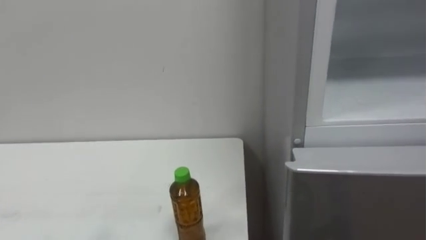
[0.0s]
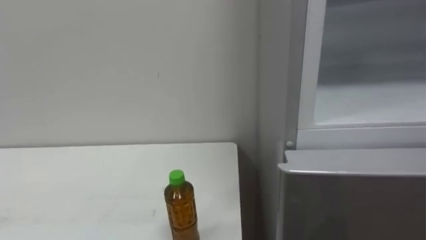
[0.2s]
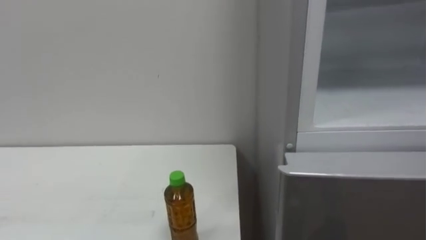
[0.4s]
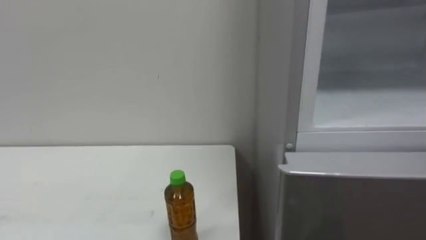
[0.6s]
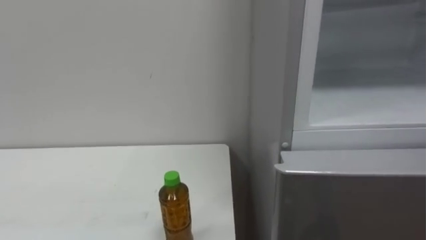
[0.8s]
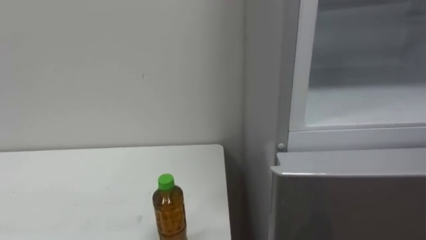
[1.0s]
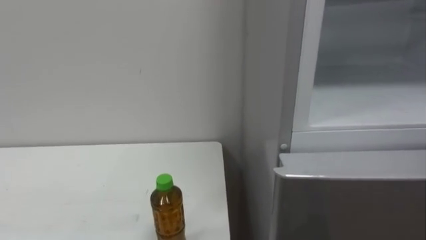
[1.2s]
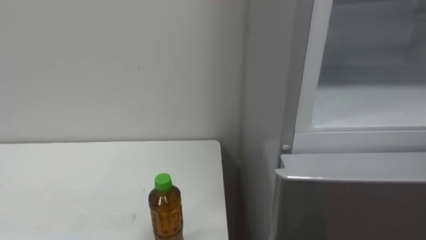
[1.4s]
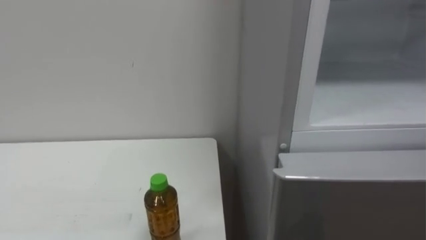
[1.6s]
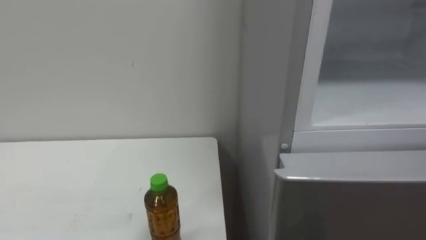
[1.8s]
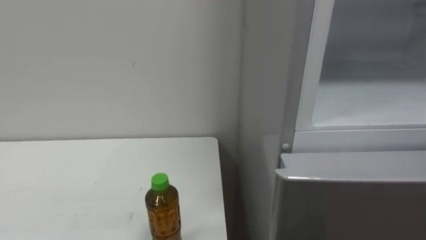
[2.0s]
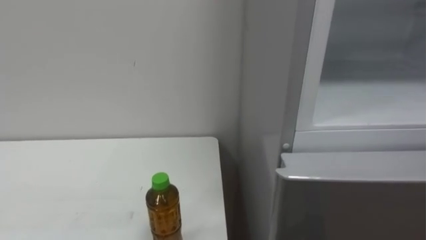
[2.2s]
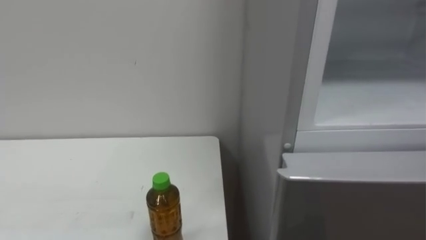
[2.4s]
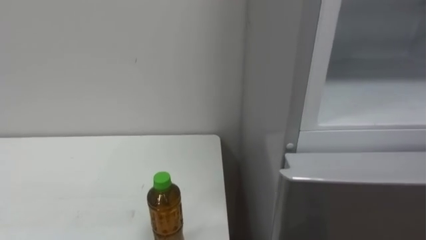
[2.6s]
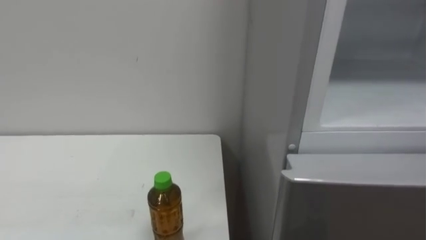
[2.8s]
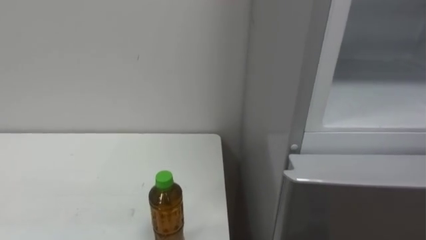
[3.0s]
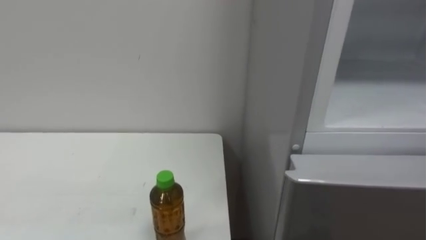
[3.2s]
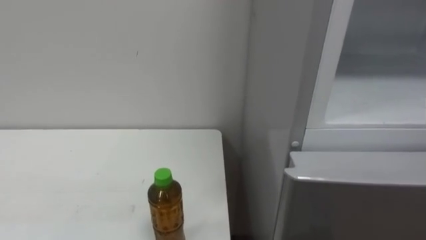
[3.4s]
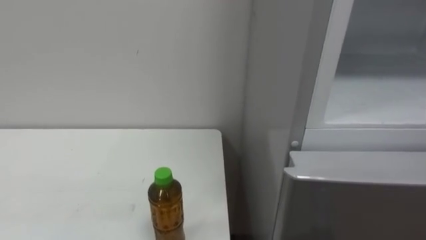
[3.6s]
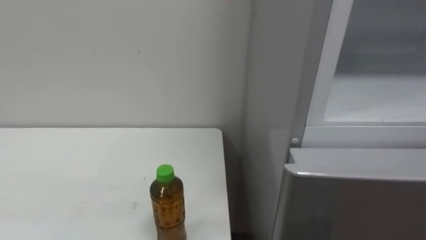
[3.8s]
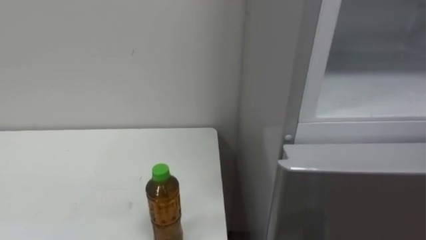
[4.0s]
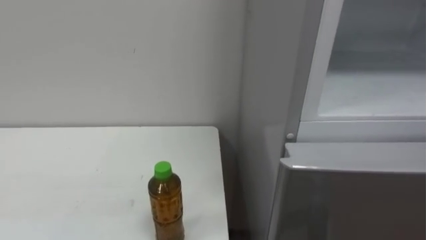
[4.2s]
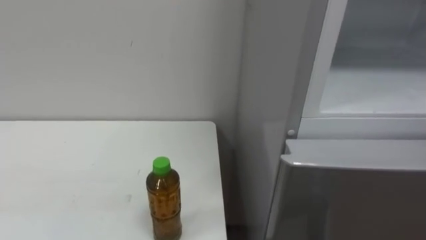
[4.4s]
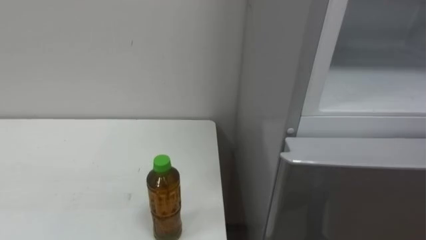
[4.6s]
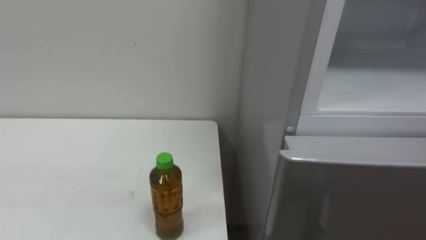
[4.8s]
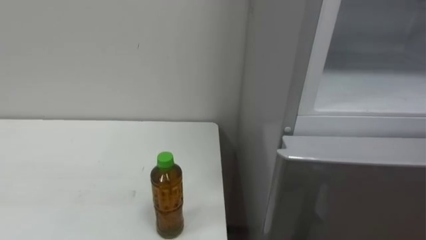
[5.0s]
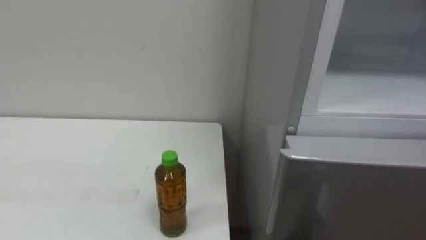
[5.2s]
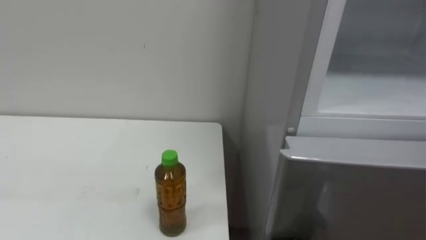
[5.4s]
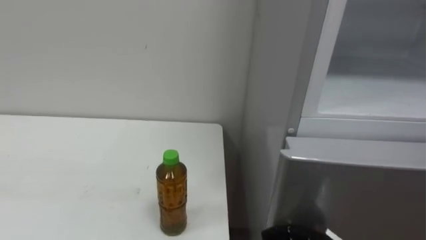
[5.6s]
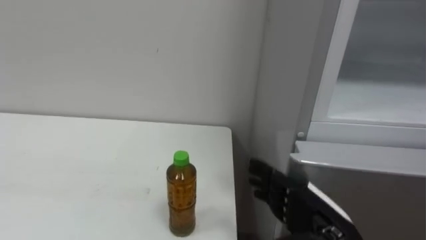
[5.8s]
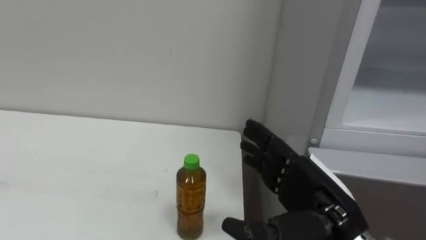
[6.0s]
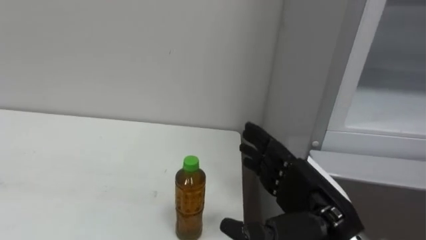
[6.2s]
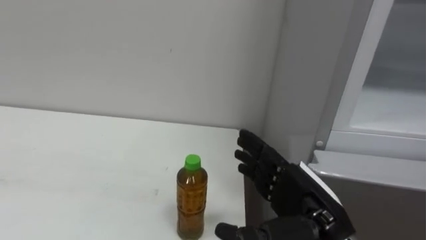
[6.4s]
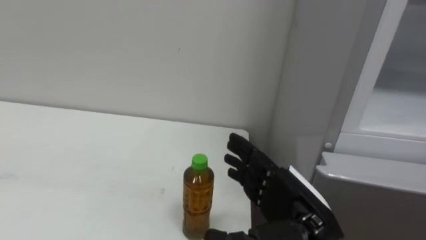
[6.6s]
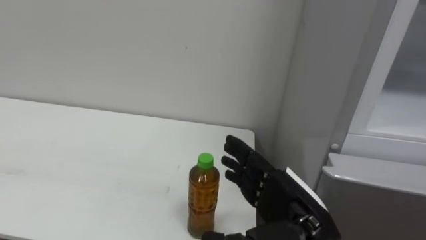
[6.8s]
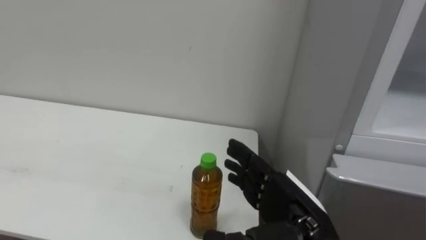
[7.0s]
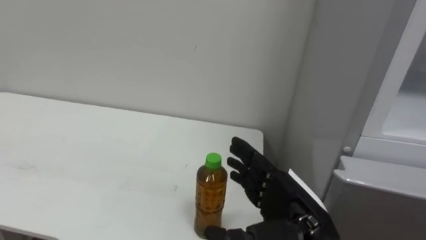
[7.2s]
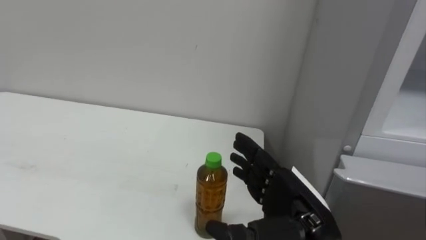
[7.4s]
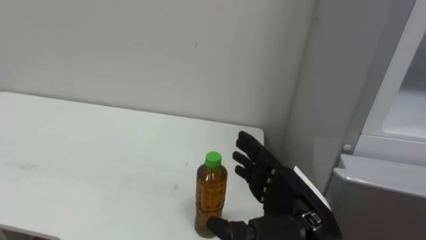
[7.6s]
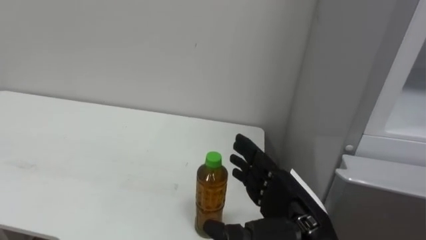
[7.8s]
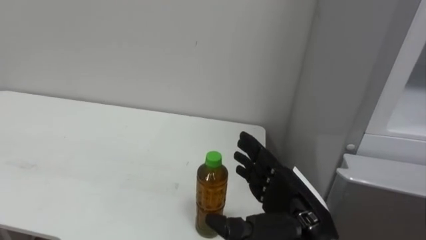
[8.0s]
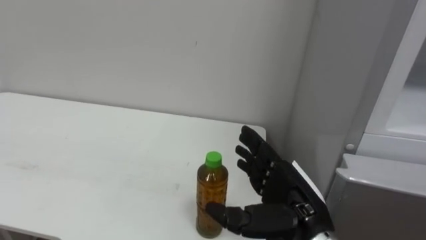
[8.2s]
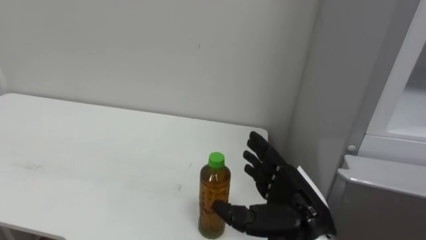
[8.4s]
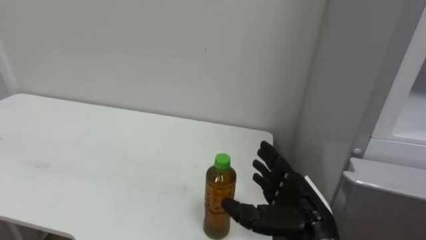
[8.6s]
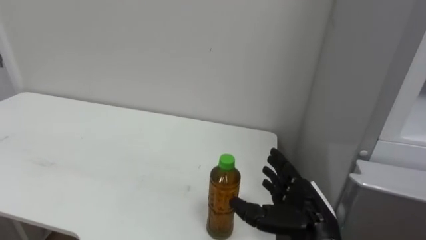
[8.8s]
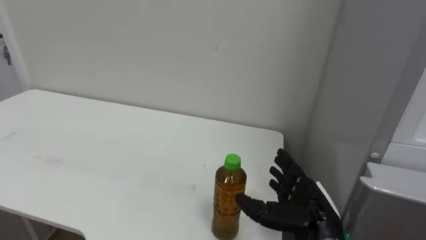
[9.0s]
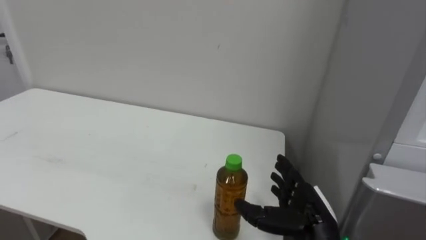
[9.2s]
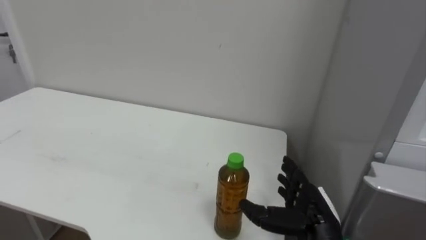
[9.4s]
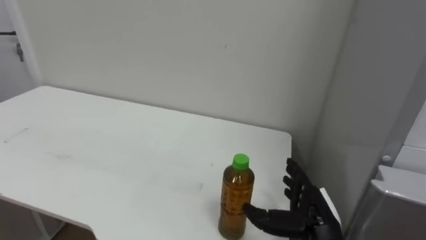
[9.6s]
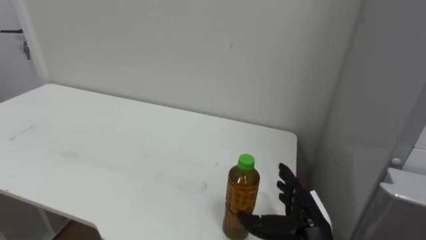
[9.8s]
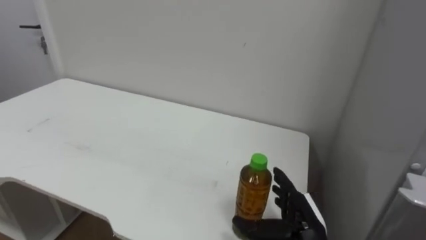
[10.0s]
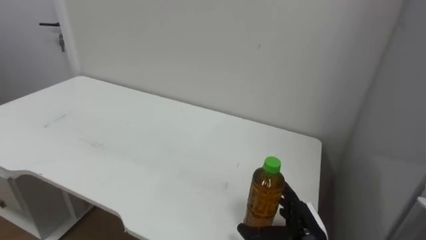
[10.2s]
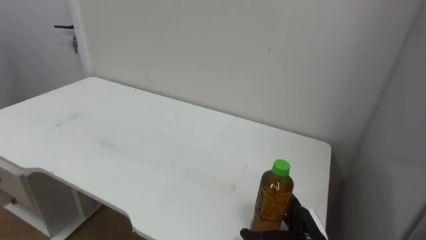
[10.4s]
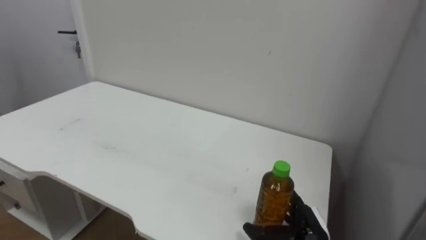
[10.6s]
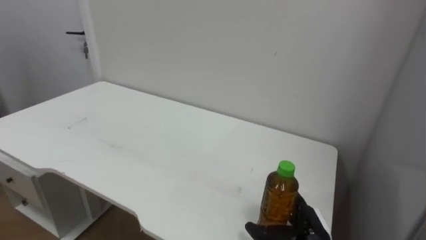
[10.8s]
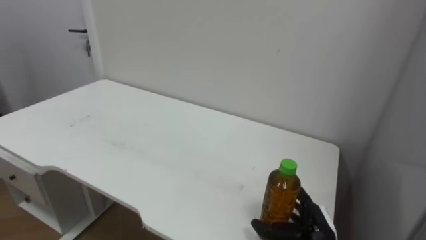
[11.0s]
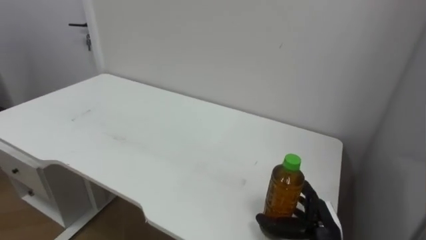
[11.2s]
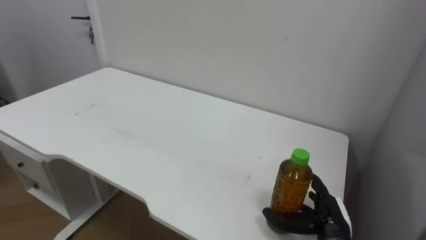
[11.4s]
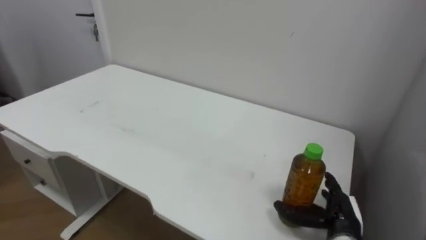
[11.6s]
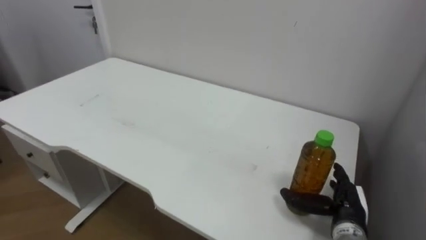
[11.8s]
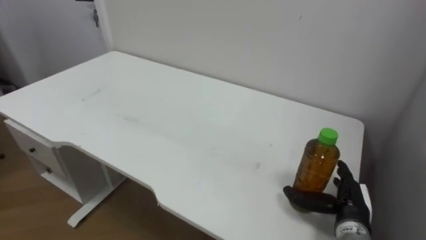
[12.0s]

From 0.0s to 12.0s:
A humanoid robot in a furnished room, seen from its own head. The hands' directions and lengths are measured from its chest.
Task of the whole recording: Open the upper refrigerator door, put the drink from the table into the refrigerator, and then close the refrigerator door.
From 7.6s to 9.0s: The right hand heads downward, covering approximately 5 cm.
From 9.0s to 10.4s: The right hand heads downward, covering roughly 10 cm.
From 10.4s to 12.0s: The right hand moves to the right, about 10 cm.

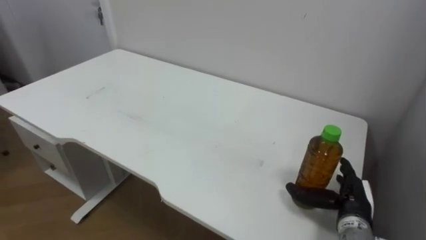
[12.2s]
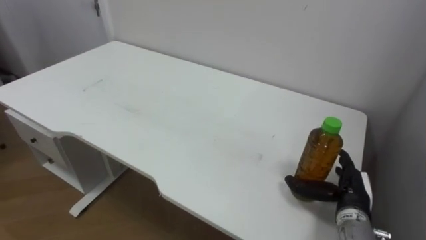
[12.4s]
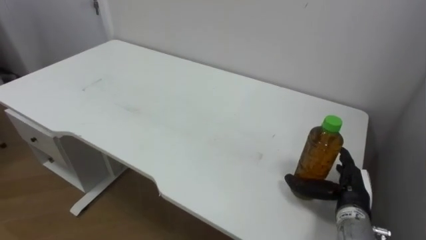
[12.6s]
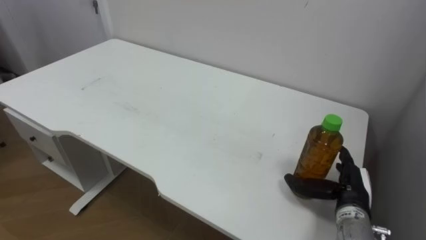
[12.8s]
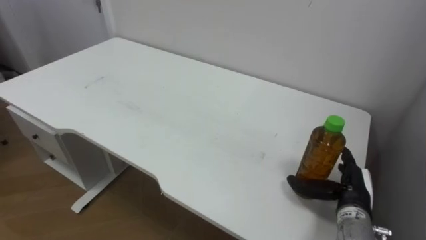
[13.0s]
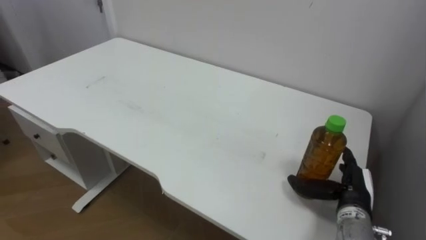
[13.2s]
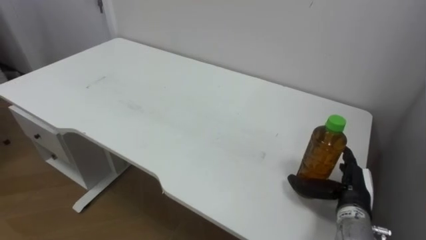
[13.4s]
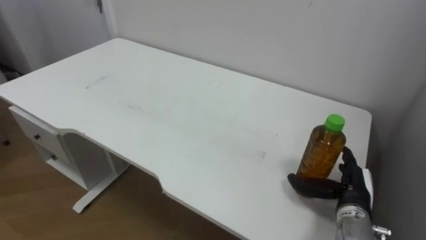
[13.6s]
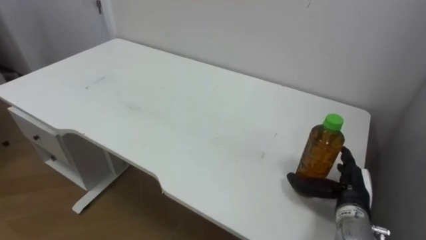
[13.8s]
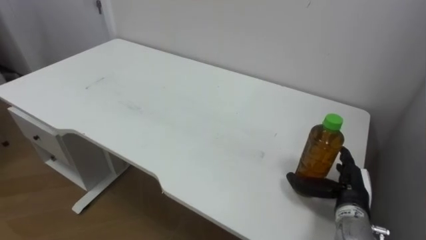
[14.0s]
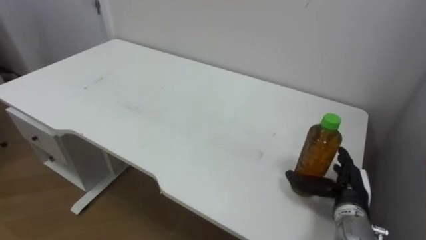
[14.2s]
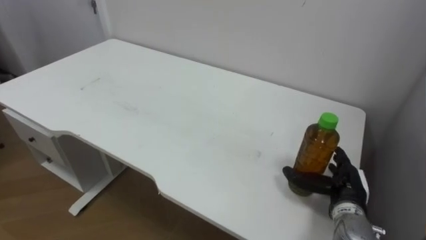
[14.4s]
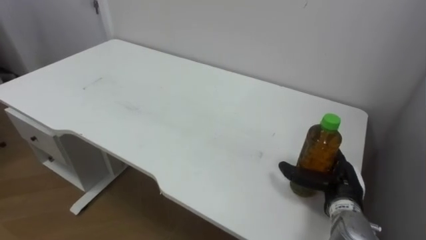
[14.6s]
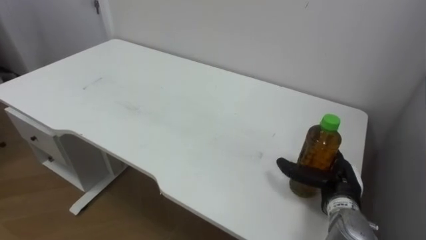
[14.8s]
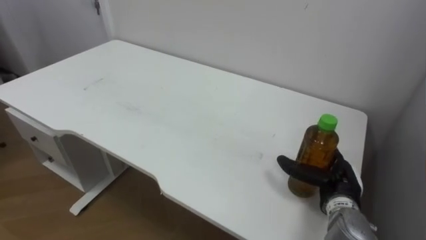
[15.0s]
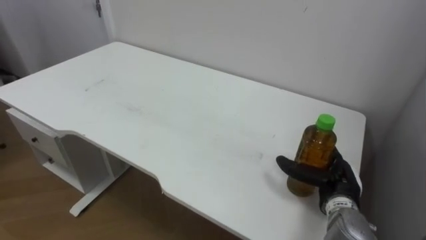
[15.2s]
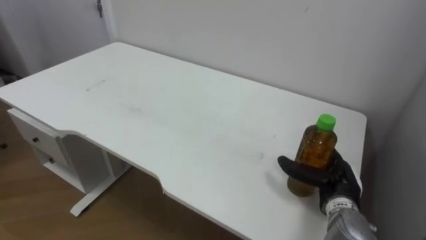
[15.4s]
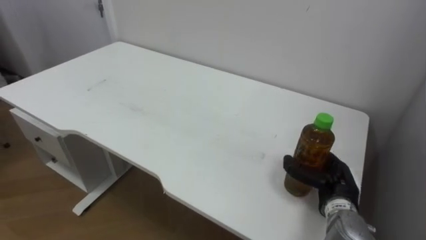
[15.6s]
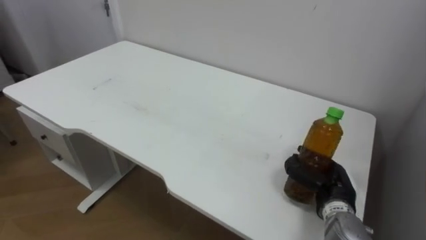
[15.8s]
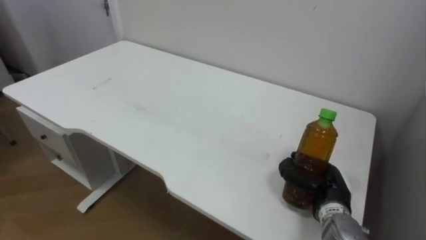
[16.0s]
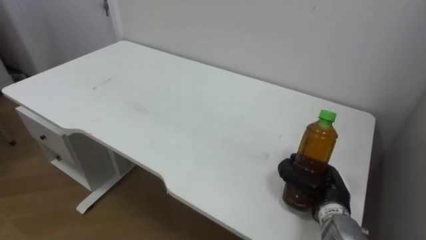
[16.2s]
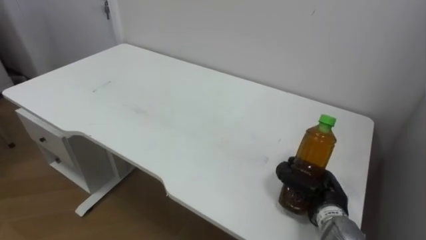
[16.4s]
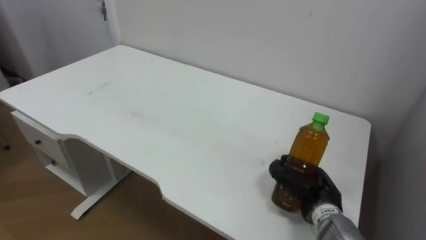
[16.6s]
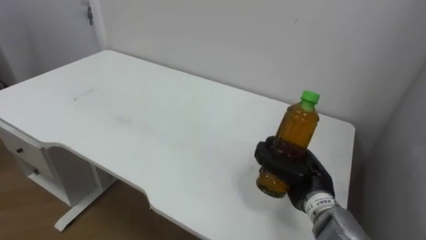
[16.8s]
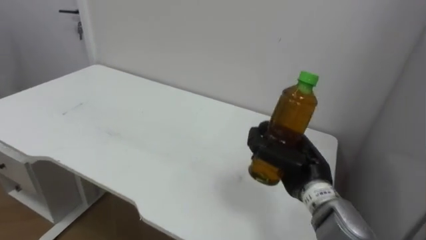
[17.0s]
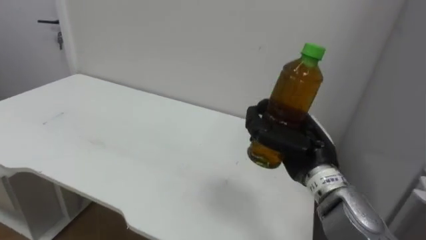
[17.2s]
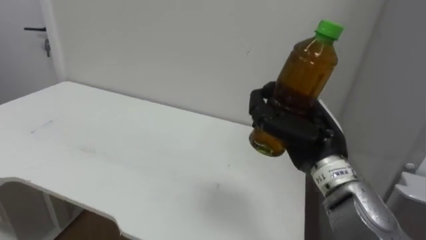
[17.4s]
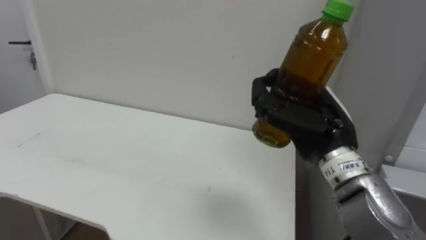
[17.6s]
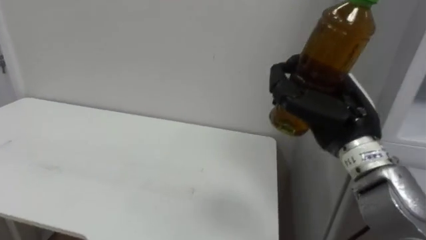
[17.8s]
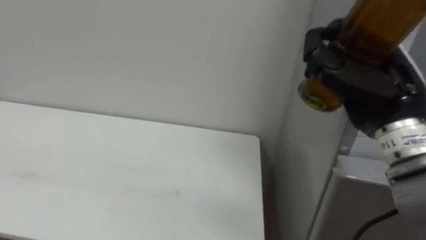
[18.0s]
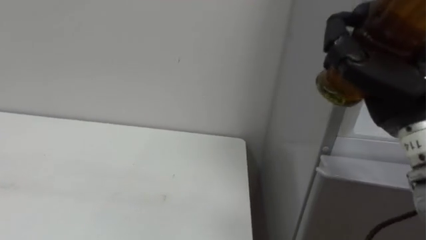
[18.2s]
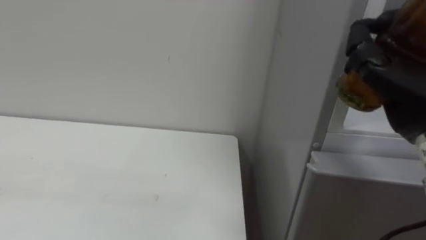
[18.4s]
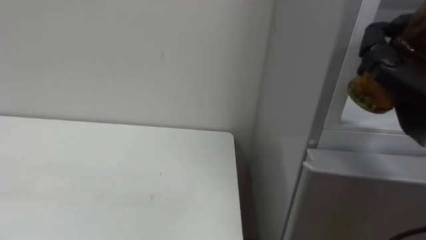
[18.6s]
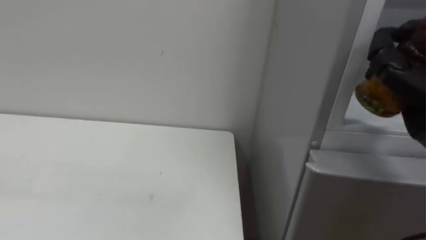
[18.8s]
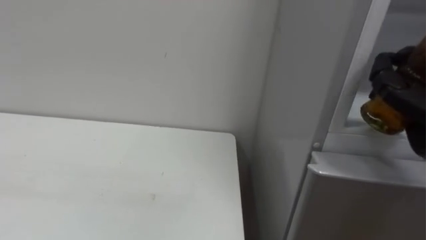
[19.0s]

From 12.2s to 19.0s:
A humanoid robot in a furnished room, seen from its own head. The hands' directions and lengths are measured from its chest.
Task of the whole recording: Open the upper refrigerator door, put the drink from the table into the refrigerator, and then close the refrigerator door.
From 15.0s to 16.2s: The right hand closes.
From 16.2s to 17.6s: The right hand goes about 20 cm upward.
